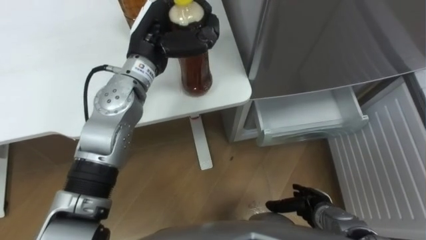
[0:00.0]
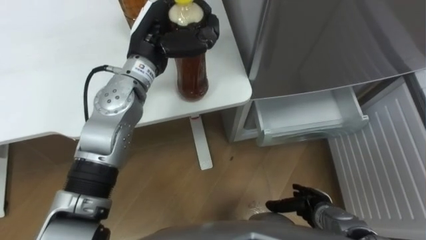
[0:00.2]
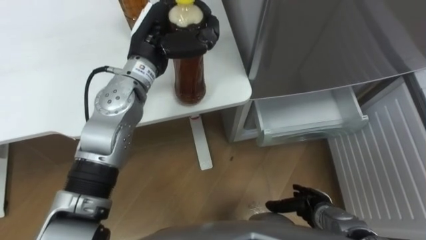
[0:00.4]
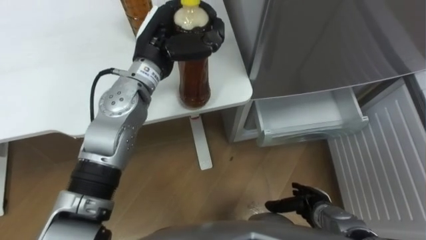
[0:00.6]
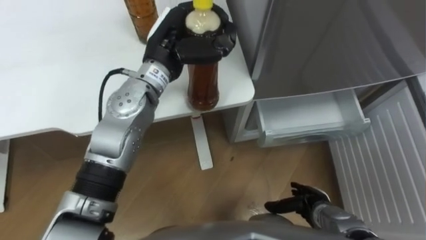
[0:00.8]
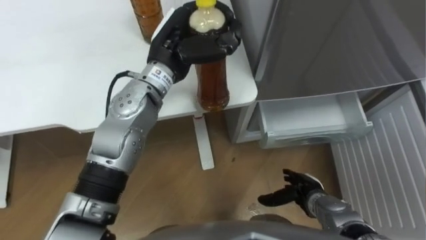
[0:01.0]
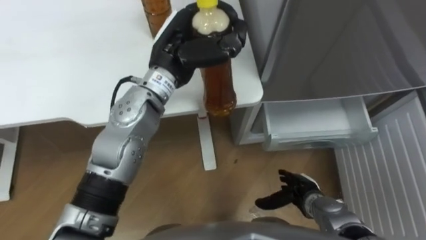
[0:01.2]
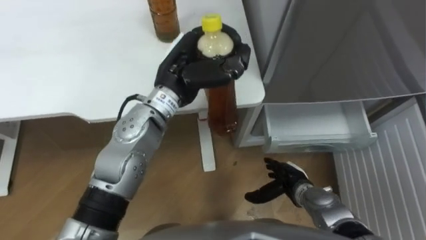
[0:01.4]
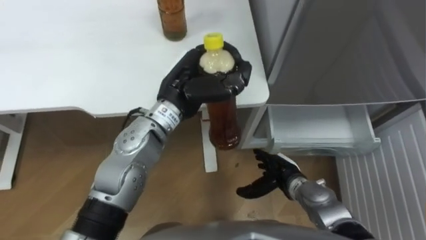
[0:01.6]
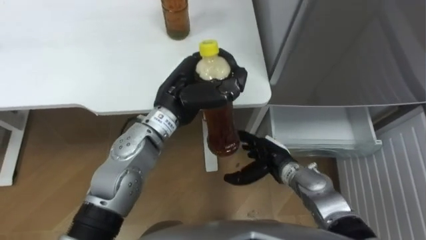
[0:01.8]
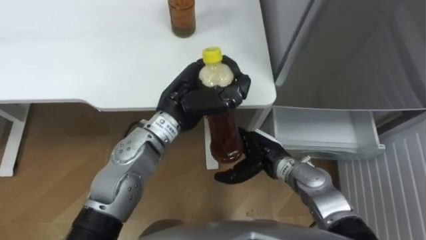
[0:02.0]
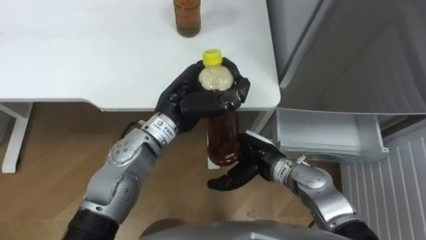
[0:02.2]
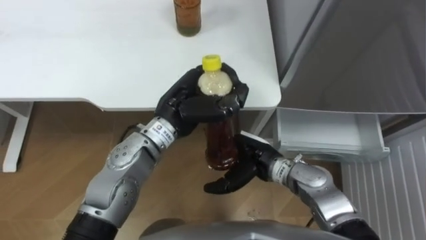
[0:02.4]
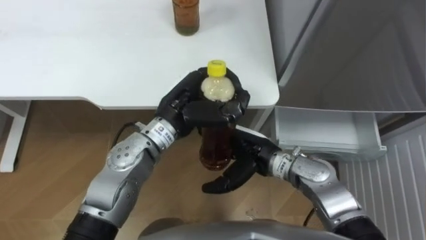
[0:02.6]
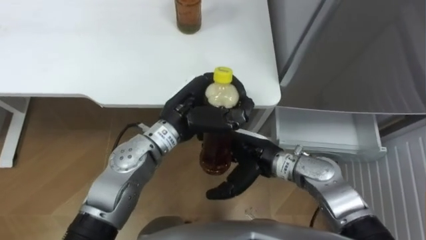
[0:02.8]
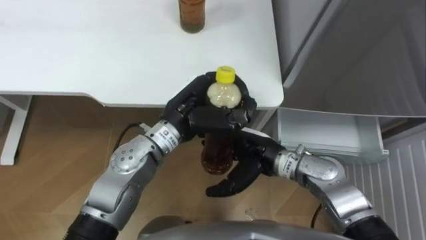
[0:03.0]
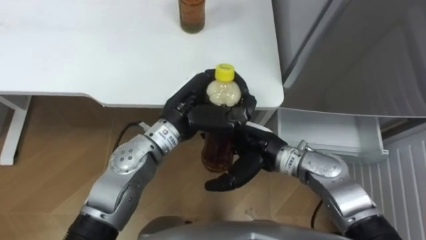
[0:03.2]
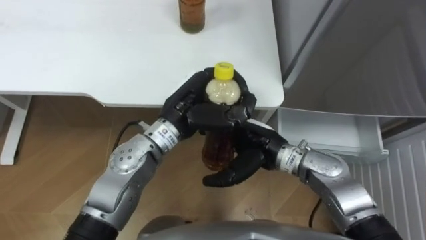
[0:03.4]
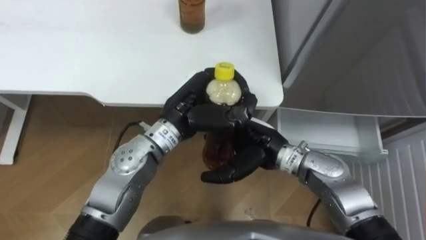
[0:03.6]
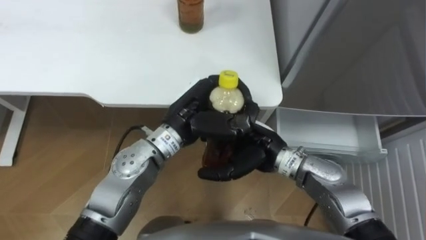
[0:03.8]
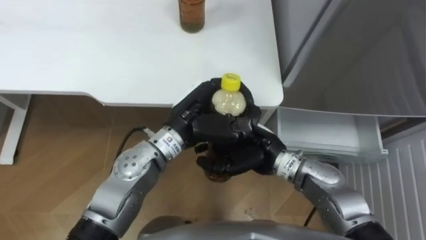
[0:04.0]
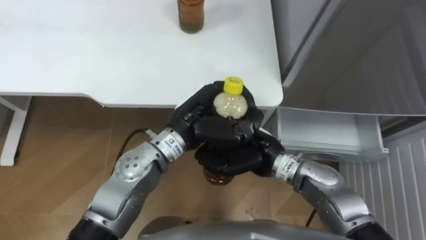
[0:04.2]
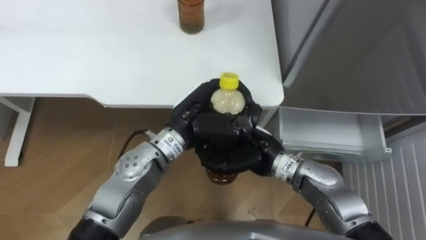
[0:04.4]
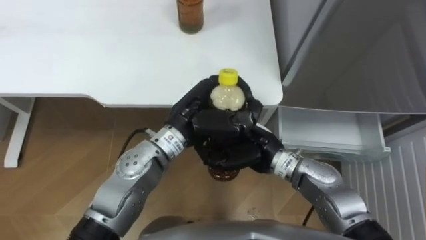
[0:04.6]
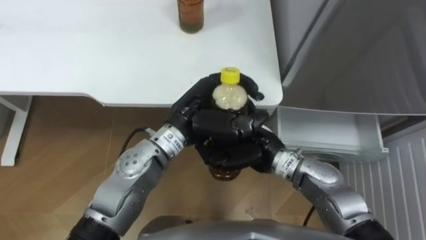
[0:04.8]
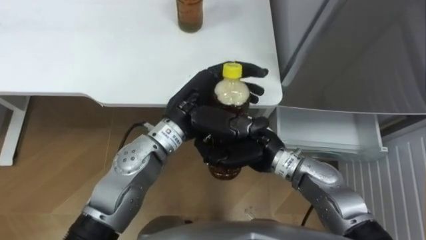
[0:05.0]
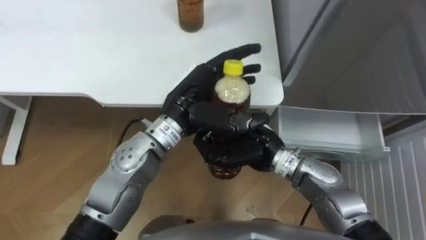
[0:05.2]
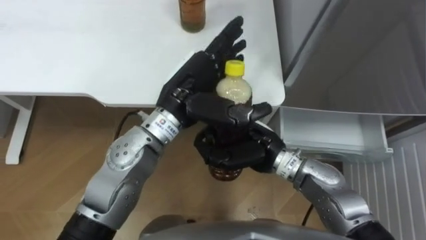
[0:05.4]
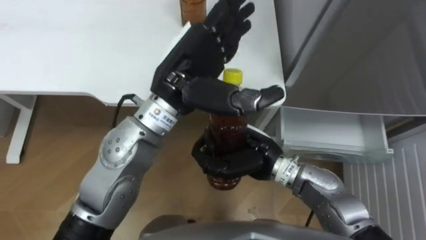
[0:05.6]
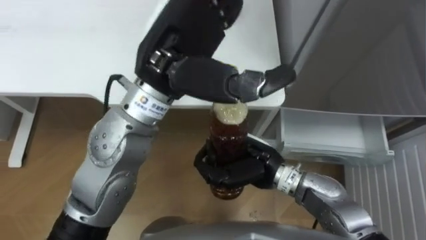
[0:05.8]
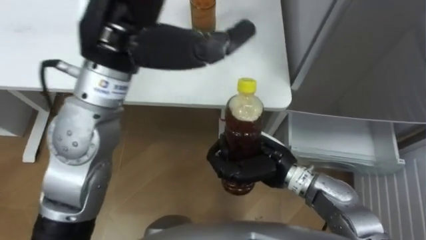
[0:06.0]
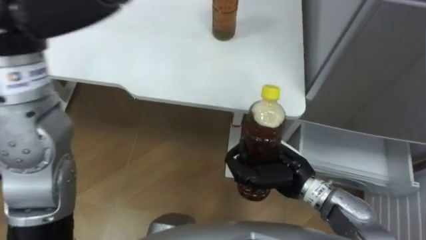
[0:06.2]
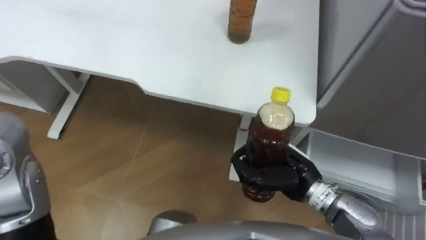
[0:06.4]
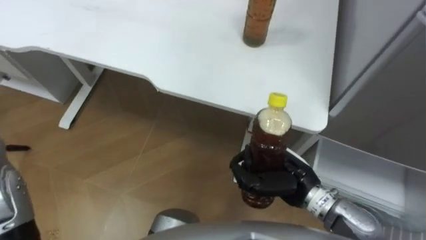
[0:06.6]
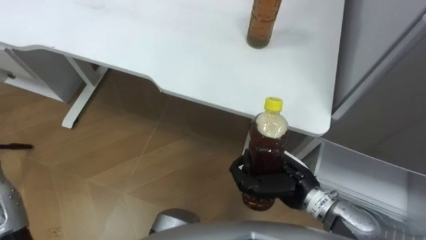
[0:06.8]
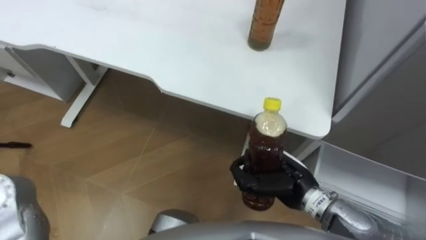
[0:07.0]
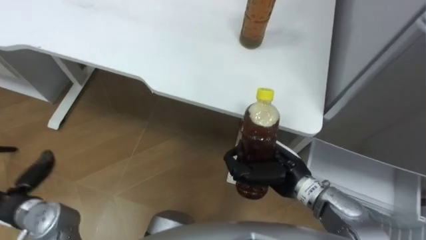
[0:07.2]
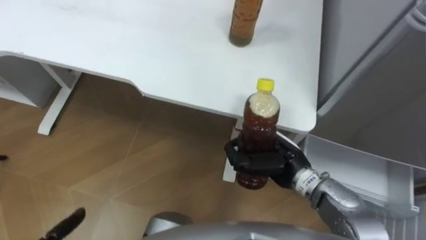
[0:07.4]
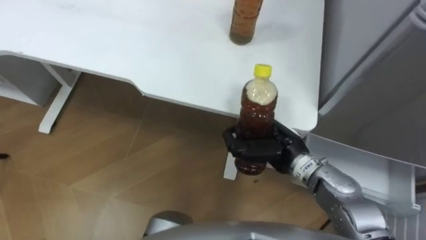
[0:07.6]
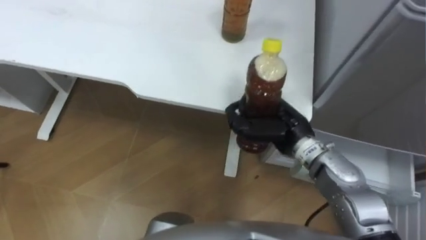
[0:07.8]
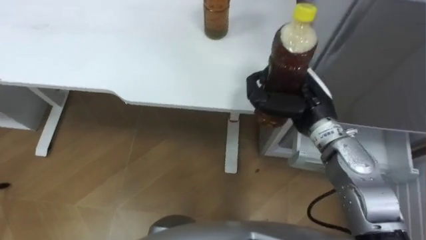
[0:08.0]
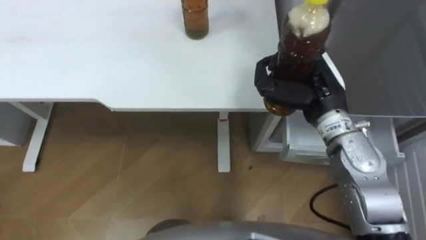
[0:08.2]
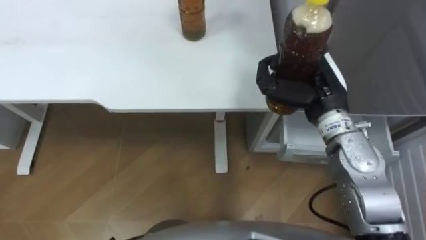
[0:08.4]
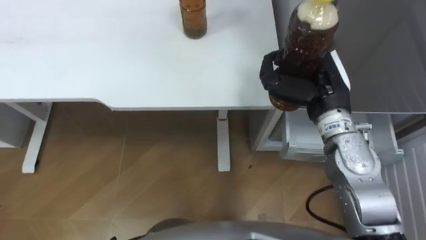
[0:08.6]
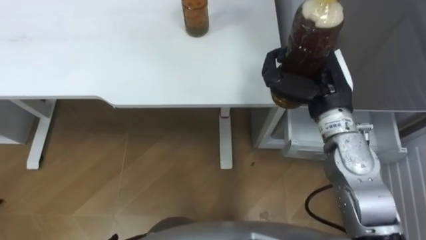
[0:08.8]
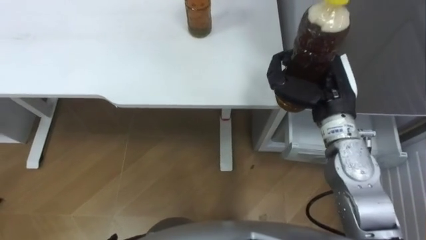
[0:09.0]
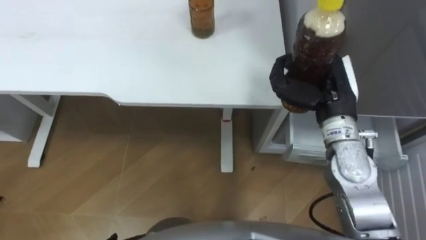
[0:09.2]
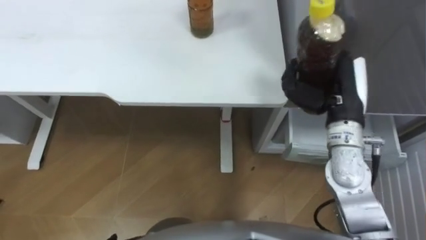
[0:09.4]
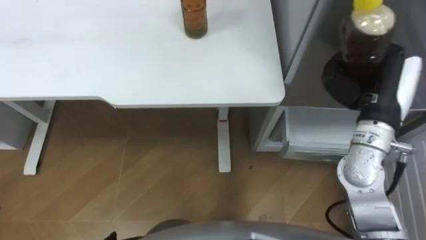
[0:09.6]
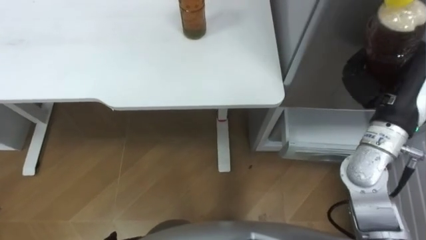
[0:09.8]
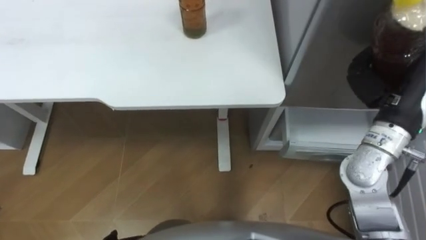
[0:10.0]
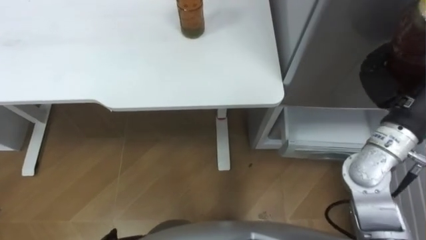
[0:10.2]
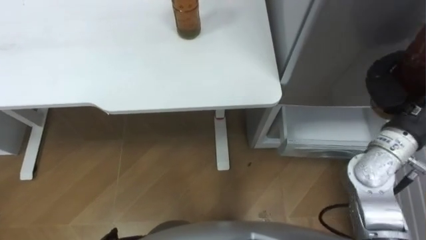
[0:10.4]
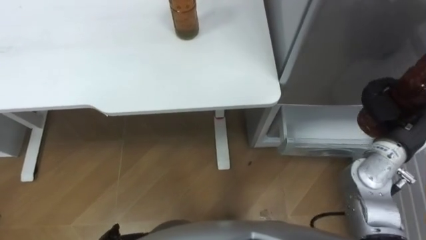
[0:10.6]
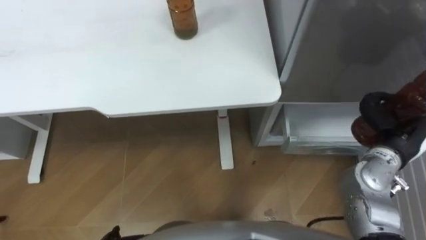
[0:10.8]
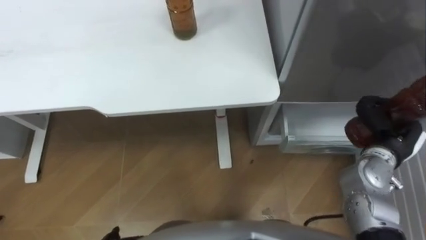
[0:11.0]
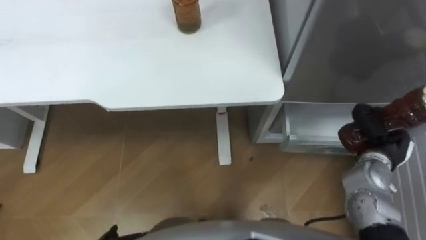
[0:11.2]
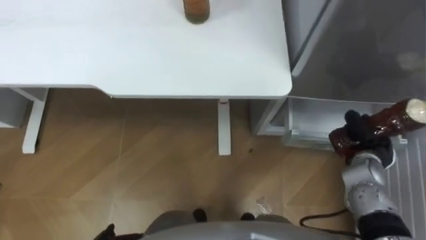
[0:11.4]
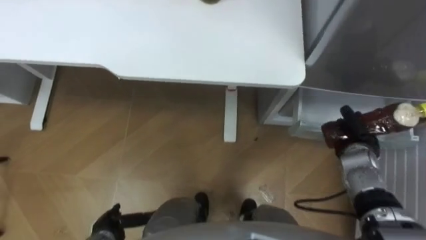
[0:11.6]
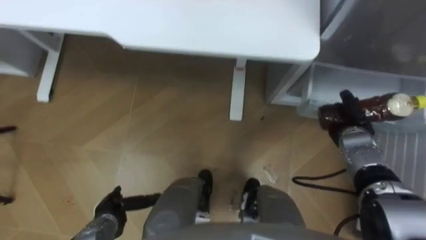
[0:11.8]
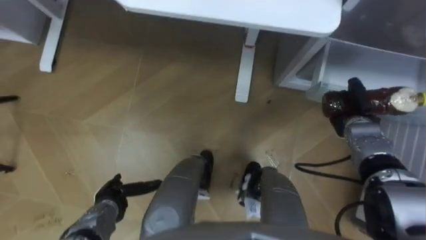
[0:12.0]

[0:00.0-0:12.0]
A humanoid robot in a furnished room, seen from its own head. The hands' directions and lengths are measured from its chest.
Task of the whole recording: Place the drink on the table on the bottom shelf of the refrigerator, then close the drawer and the refrigerator door.
0:00.0 to 0:01.6: The left hand goes roughly 10 cm backward and to the right. Meanwhile the right hand shifts some 10 cm forward and to the left.
0:01.6 to 0:03.0: The right hand heads upward and to the left, covering some 15 cm.
0:03.0 to 0:04.4: The right hand closes.
0:04.4 to 0:06.0: The left hand goes roughly 20 cm upward, and opens up.
0:07.6 to 0:09.0: The right hand heads upward, to the right and forward, covering about 15 cm.
0:09.0 to 0:10.4: The right hand goes some 10 cm to the right.
0:10.4 to 0:12.0: The right hand shifts about 20 cm downward.

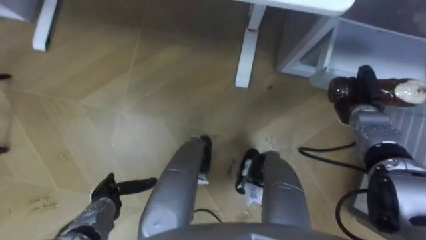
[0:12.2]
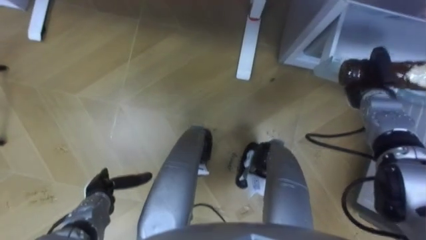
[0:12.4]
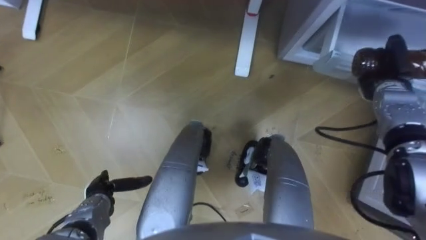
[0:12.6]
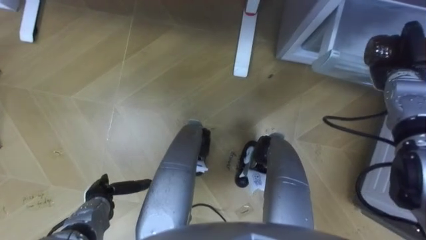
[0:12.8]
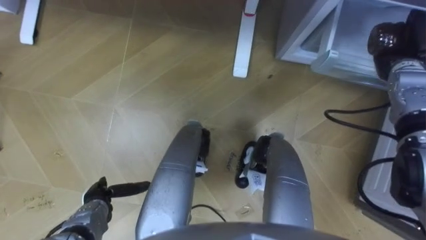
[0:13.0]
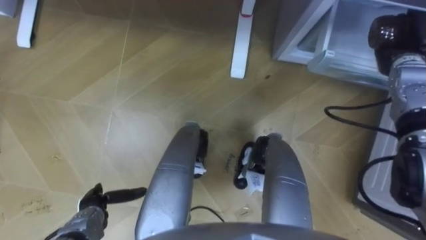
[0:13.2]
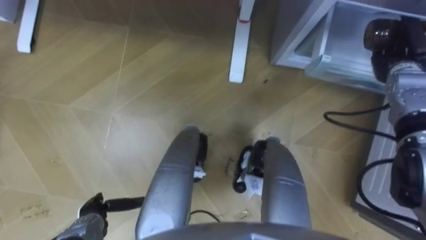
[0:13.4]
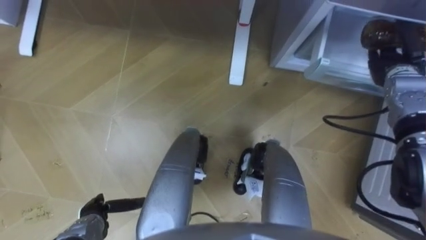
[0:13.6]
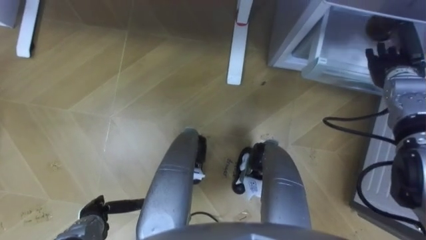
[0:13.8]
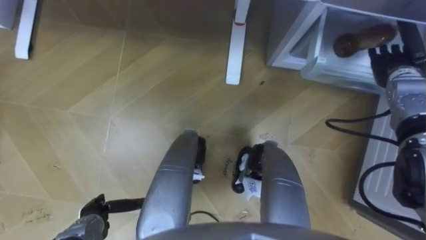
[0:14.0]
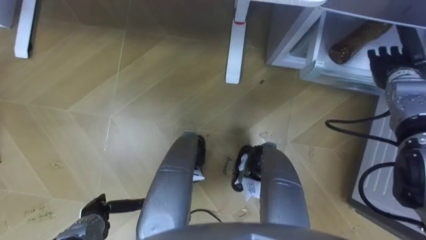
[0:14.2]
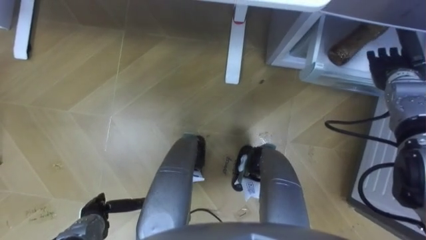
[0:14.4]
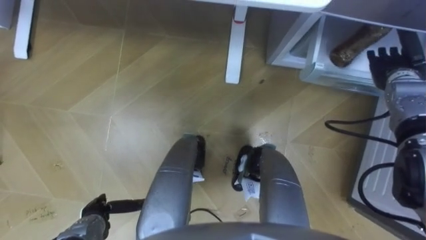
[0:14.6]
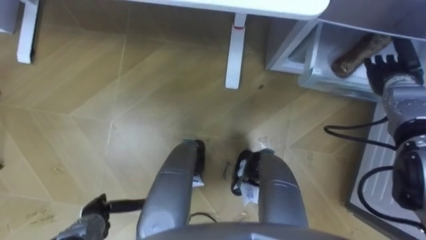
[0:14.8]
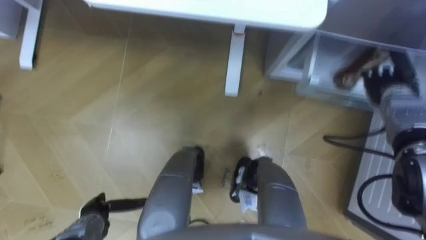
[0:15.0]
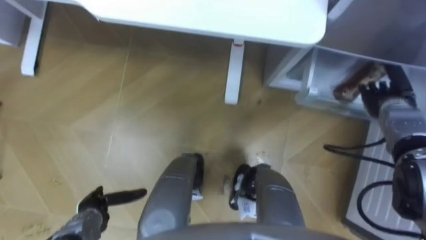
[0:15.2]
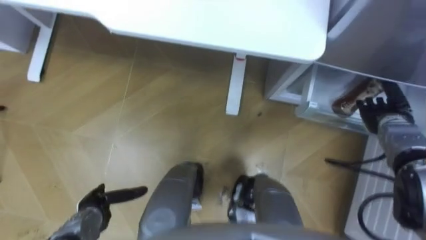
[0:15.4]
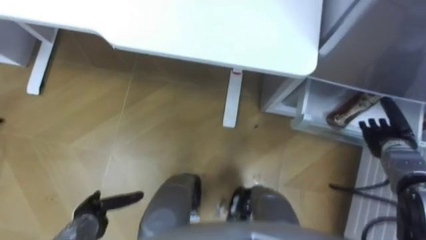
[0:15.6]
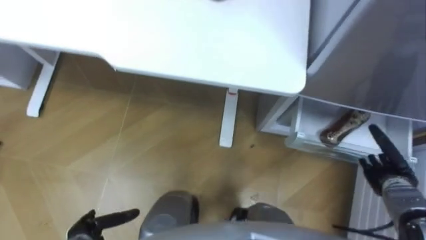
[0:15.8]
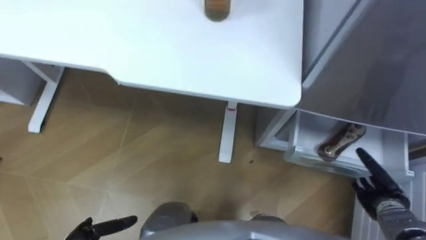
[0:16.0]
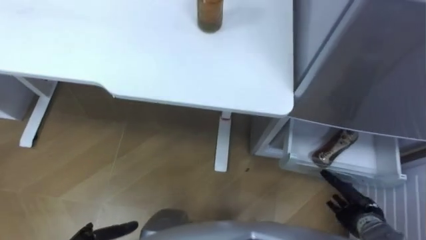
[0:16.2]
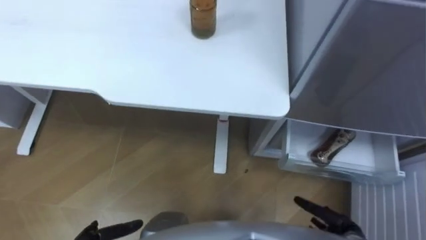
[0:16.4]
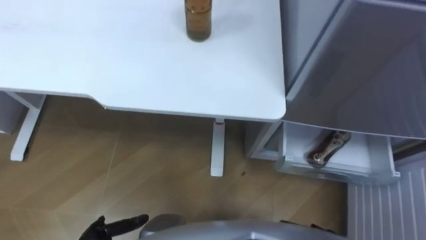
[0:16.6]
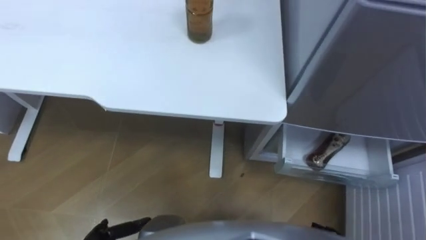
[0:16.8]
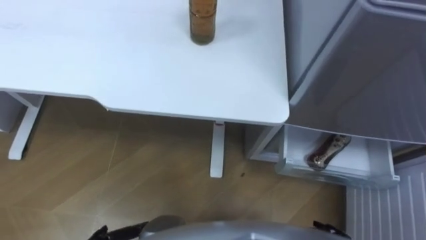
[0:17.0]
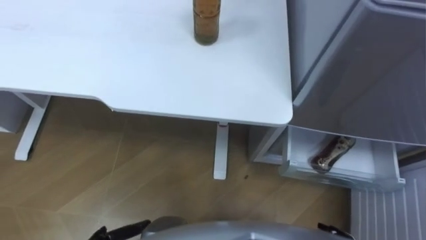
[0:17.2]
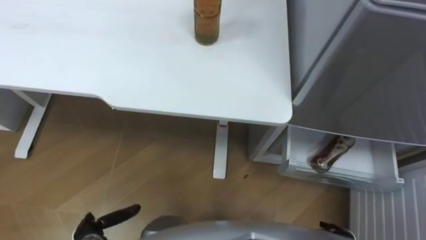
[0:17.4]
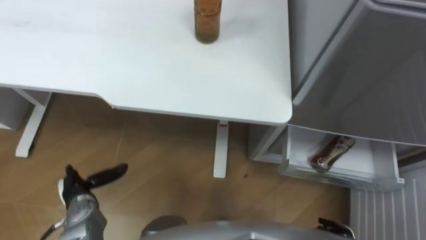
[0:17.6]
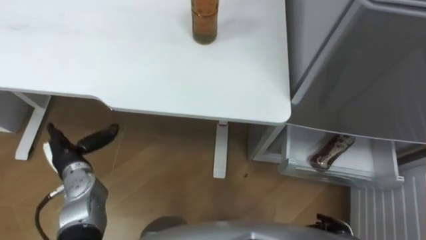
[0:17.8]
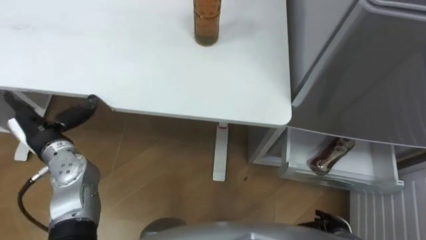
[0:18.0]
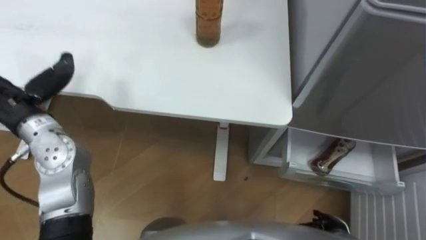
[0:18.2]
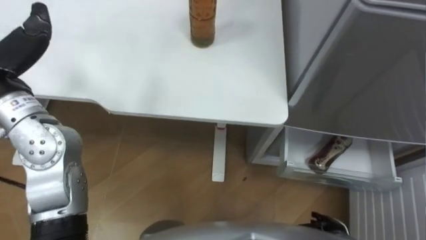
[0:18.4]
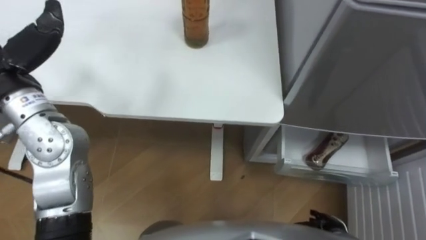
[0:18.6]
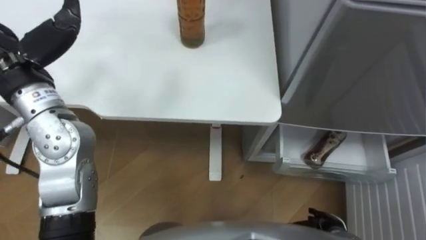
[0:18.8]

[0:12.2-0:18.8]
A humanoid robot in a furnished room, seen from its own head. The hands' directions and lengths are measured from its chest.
Task of the whole recording: Place the drink on the table on the bottom shelf of the refrigerator, then close the drawer and the refrigerator door.
0:12.2 to 0:13.8: The left hand ends up approximately 5 cm from where it was. Meanwhile the right hand goes some 10 cm upward and forward, and opens up.
0:13.8 to 0:15.4: The right hand travels downward and backward by some 10 cm.
